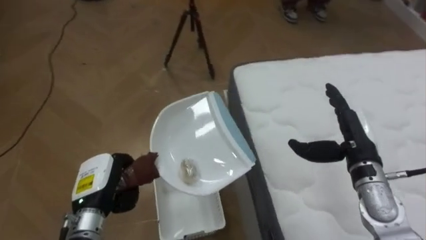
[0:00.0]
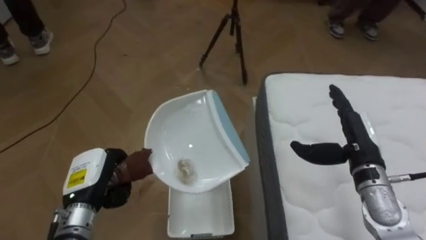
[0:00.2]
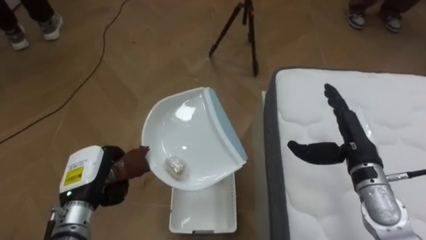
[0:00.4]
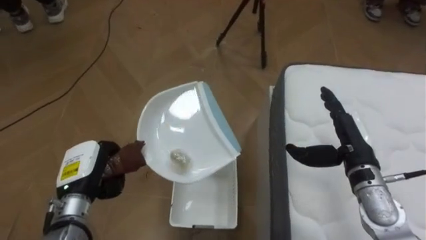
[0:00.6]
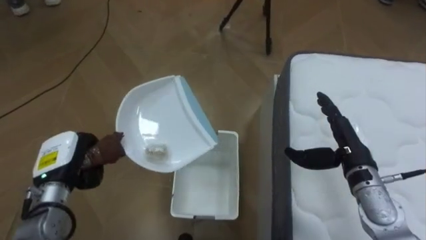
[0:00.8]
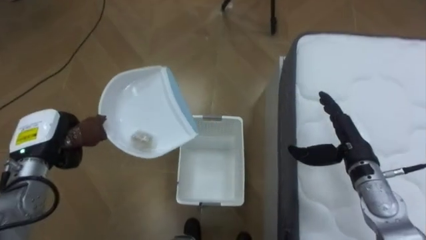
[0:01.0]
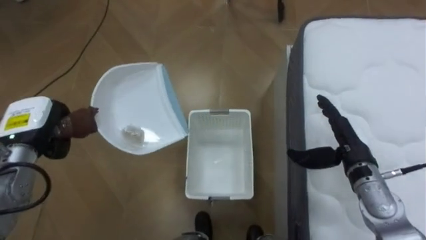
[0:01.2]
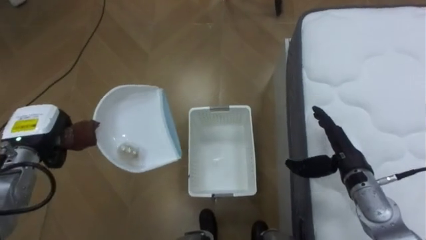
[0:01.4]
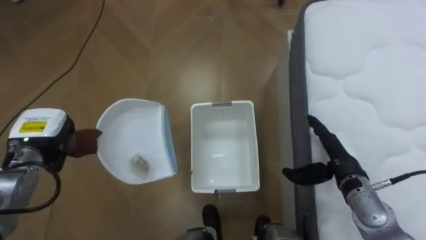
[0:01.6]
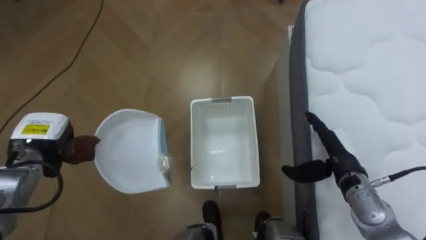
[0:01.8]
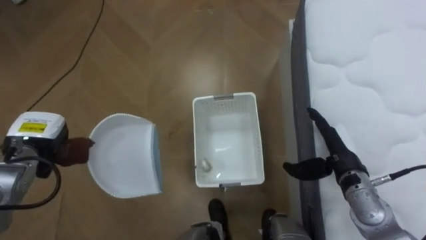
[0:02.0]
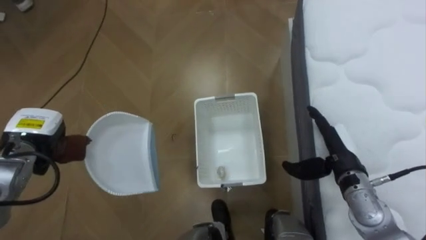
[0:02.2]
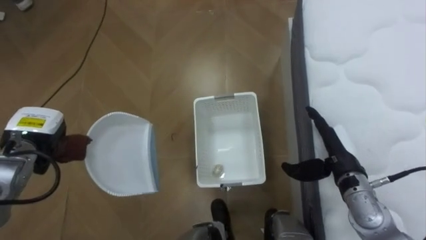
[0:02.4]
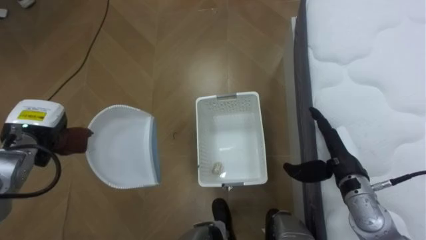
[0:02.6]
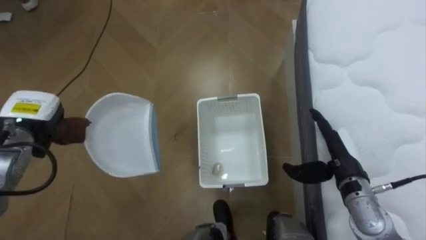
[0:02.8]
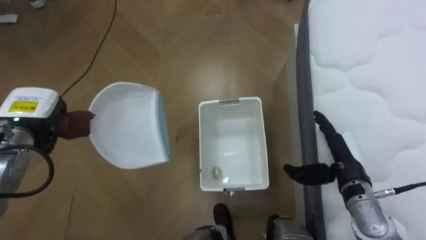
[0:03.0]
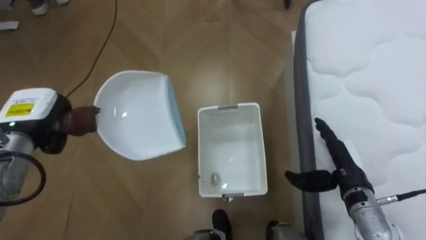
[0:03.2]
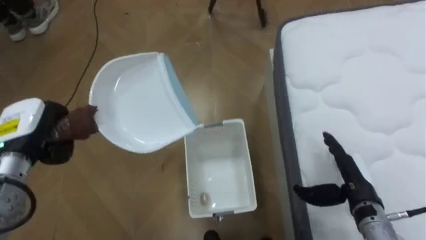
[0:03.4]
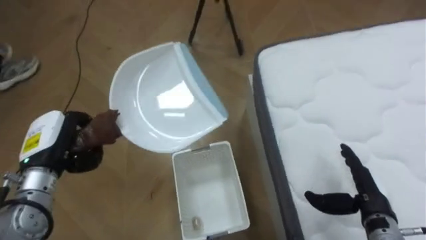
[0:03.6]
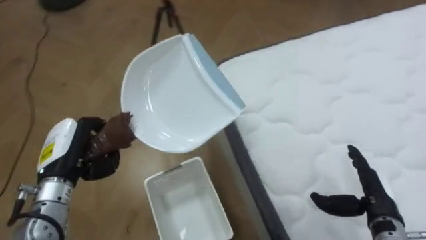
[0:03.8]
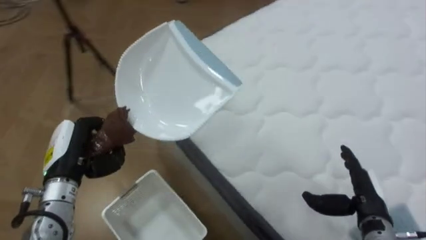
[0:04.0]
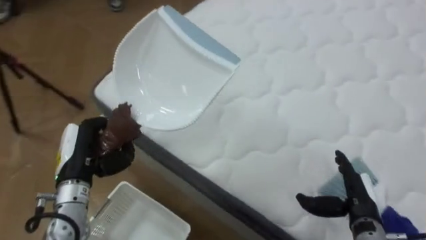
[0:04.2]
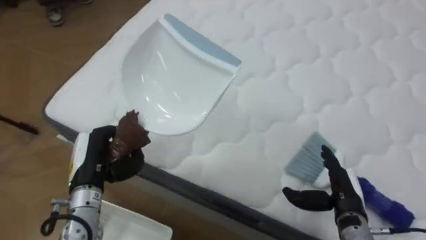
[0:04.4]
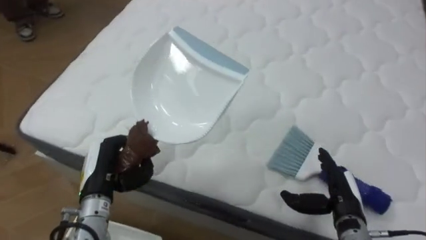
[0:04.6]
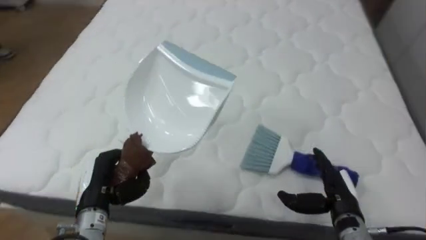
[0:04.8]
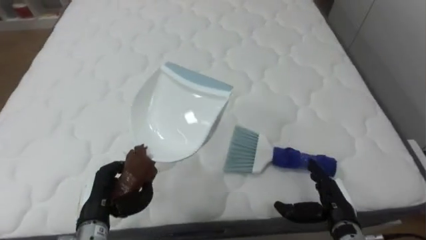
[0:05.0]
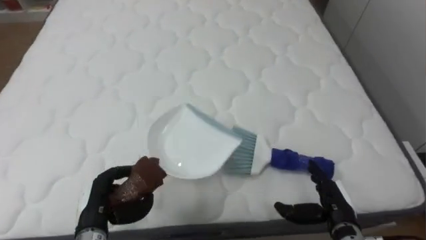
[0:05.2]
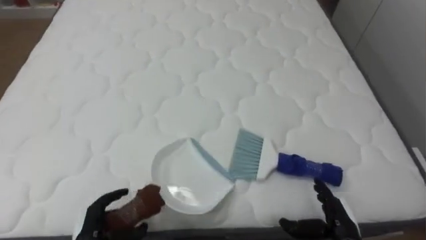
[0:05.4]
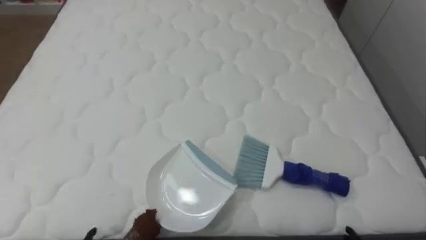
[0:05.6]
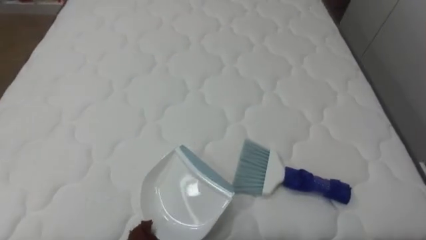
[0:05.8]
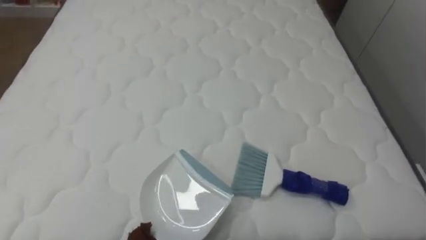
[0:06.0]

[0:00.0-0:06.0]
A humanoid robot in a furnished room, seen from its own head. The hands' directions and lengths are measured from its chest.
Task of the whole recording: Pick up the brush on your right and the dustpan on your left. Use the brush to sweep the crumpled paper on the bed into the dustpan, then turn left and empty it into the basket.
0:00.0 to 0:01.6: The robot faces approximately 20 degrees further to its left. The right hand changes place by roughly 5 cm; the left hand travels to the left, forward and upward by approximately 15 cm.
0:03.0 to 0:04.4: The robot faces roughly 80 degrees further to its right. The left hand goes roughly 15 cm to the right, backward and downward. The right hand shifts some 5 cm downward.
0:04.4 to 0:06.0: The robot's body swings about 25 degrees to its right.

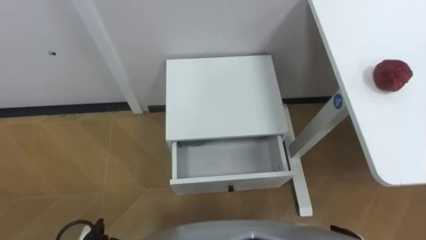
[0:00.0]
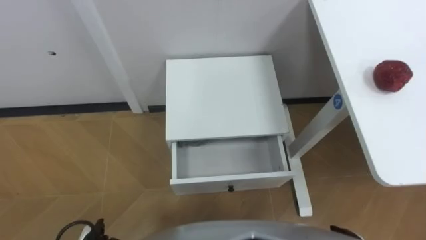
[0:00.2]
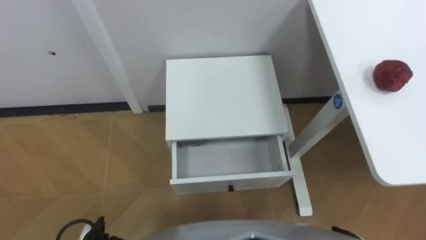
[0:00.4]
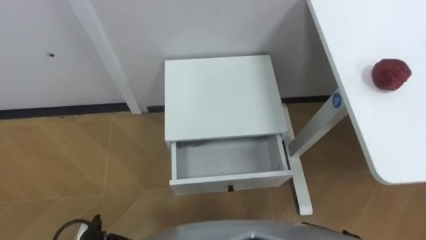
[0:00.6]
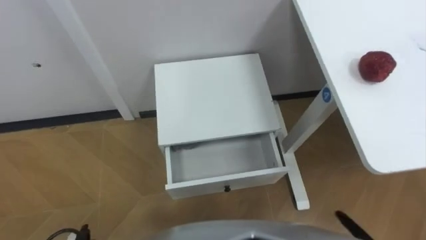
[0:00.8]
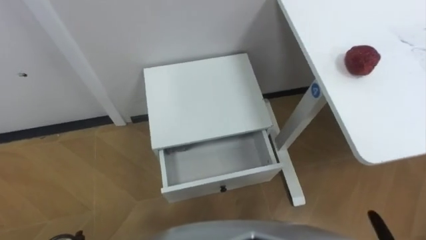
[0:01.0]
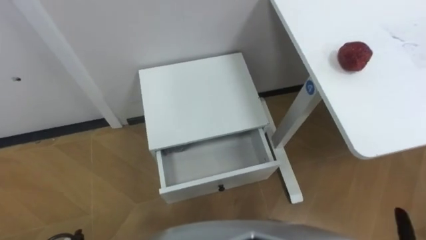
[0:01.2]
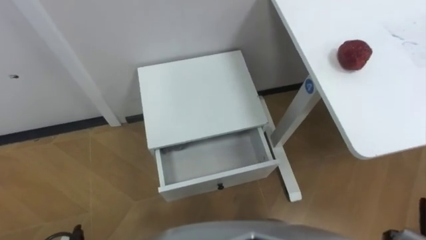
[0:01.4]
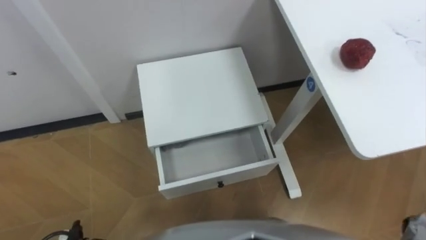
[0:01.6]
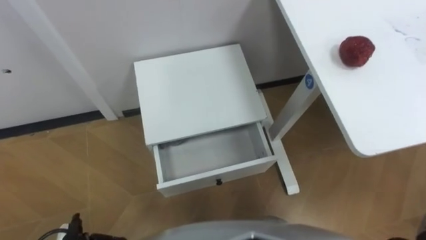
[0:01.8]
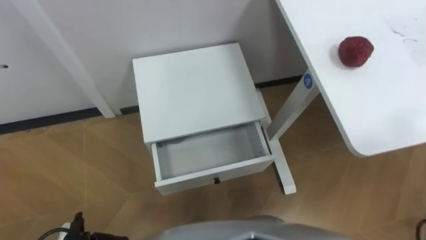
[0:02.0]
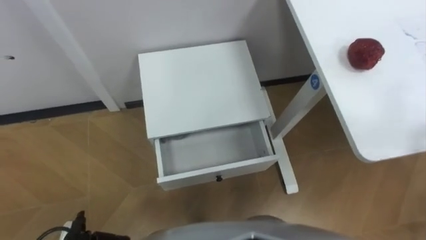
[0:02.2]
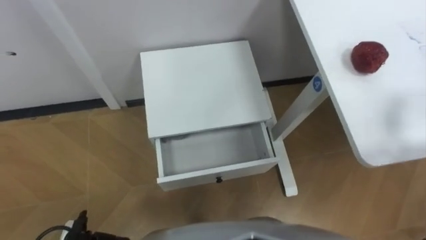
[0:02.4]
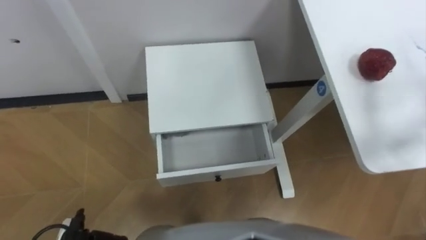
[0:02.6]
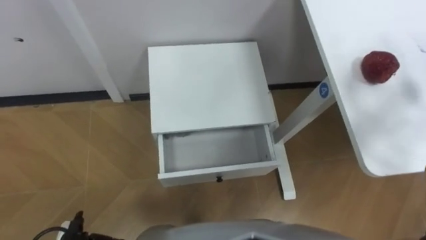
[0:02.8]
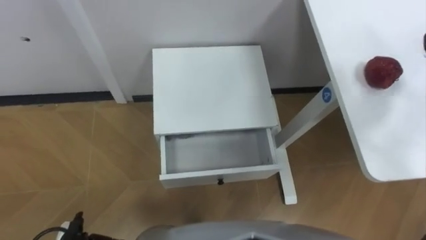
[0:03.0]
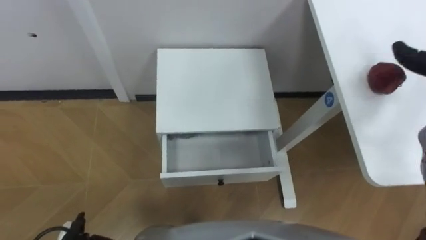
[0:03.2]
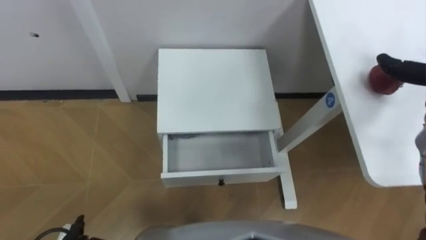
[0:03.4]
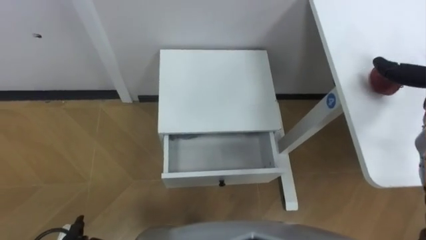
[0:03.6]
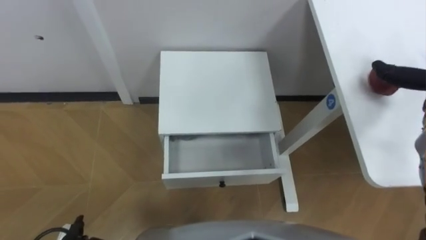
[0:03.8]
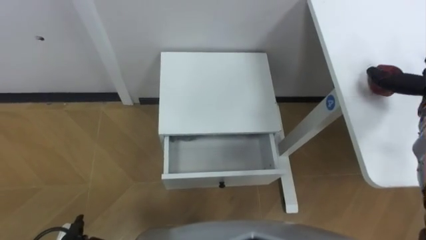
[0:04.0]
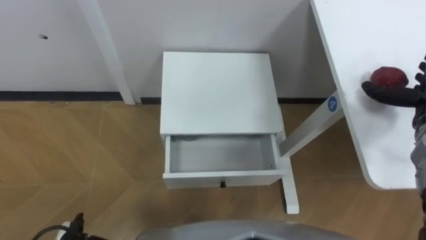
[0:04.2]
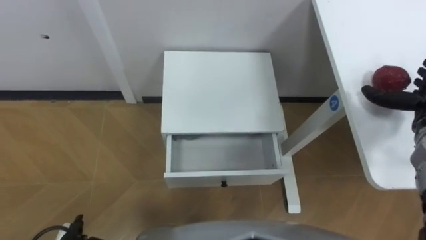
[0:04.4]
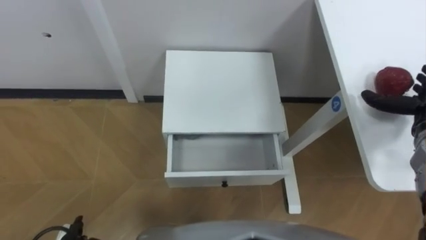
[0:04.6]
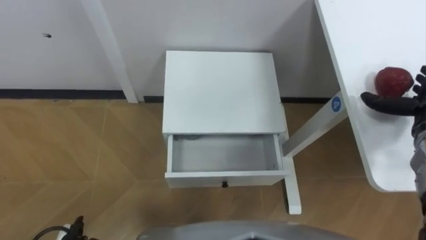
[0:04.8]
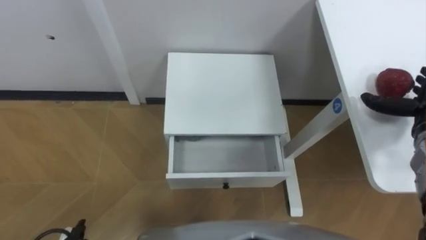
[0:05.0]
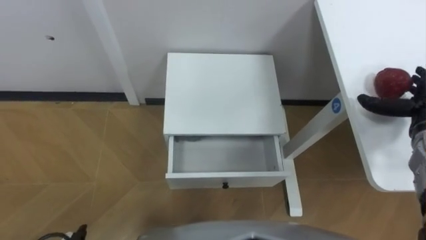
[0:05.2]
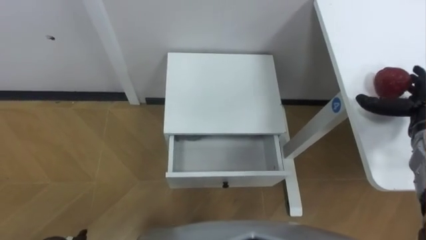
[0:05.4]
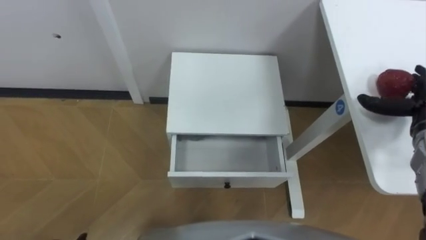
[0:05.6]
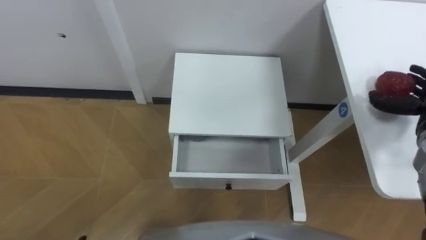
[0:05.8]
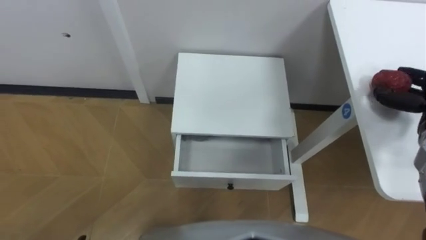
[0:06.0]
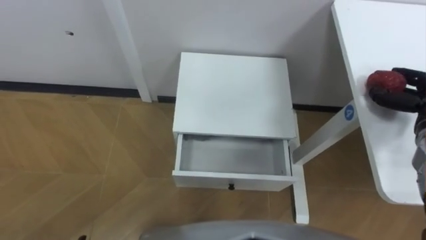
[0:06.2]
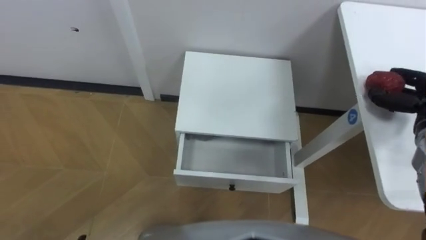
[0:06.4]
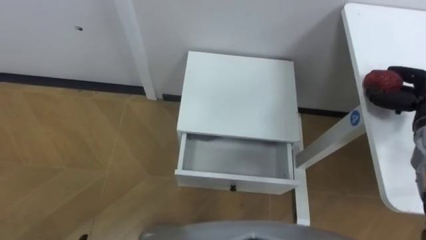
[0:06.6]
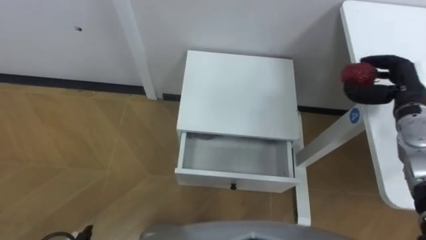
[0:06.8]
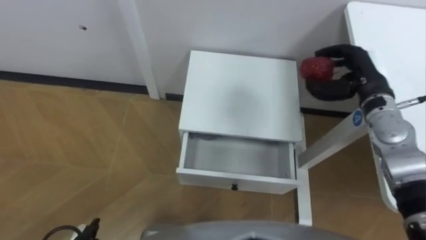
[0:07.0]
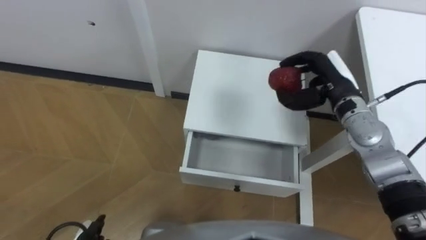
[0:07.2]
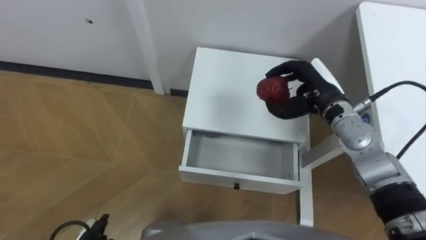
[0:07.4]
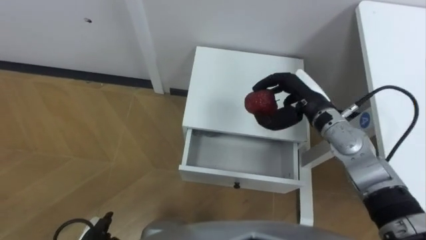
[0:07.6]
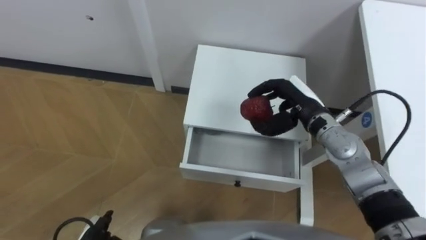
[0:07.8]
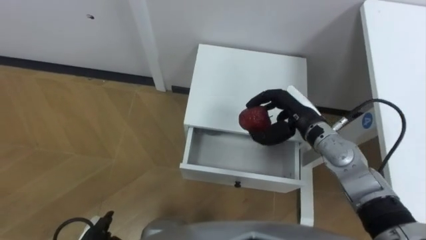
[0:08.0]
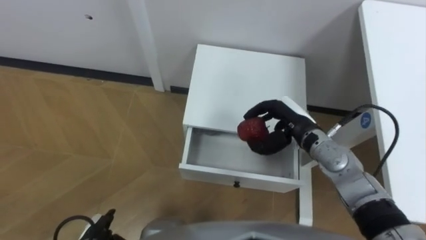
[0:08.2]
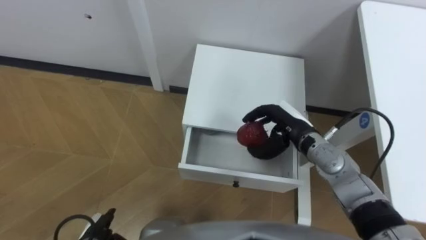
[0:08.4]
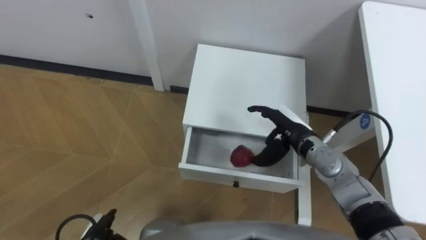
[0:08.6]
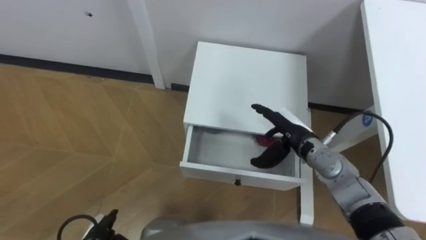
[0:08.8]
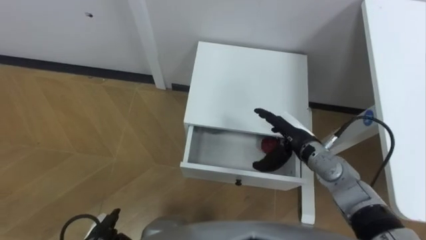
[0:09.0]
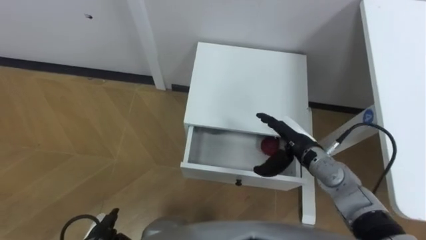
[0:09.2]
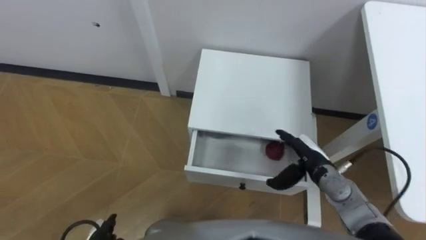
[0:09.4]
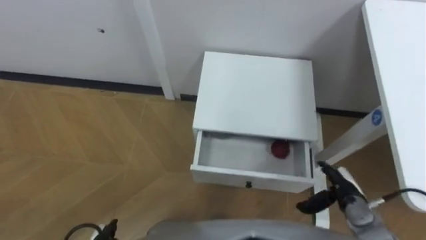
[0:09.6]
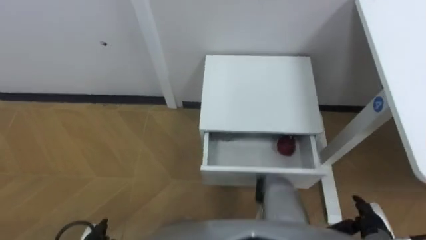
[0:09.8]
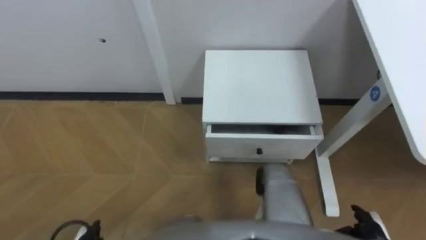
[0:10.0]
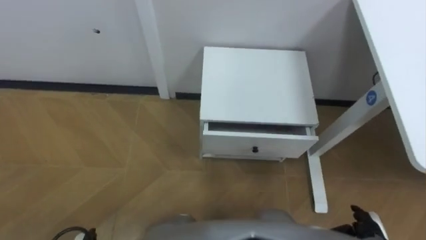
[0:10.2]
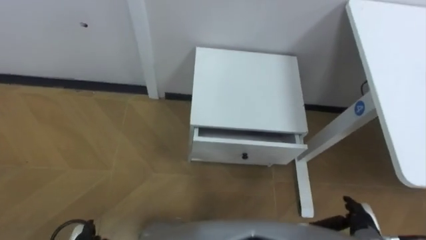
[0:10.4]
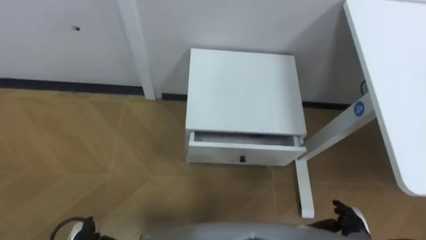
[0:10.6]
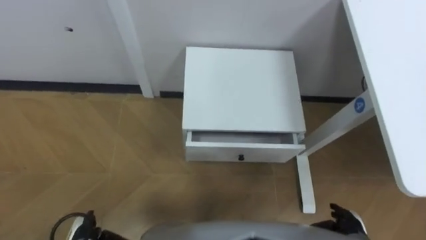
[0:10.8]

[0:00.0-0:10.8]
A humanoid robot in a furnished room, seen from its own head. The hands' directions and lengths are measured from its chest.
Task of the whole recording: Pick up the apple from the table, put it in the drawer, and close the drawer with leg.
0:07.8 to 0:09.2: The right hand is displaced downward and backward by approximately 10 cm, and opens its fingers.
0:09.2 to 0:10.8: The right hand goes approximately 25 cm backward, to the right and downward.
